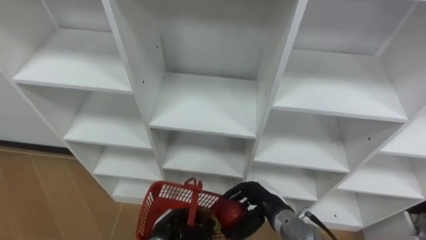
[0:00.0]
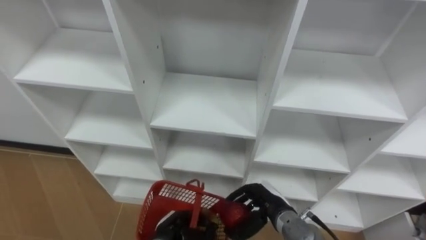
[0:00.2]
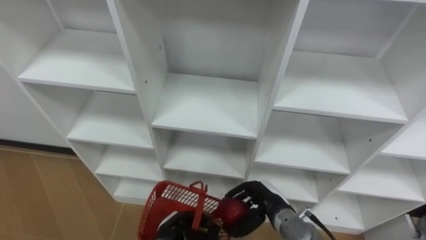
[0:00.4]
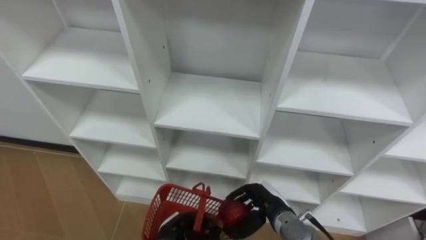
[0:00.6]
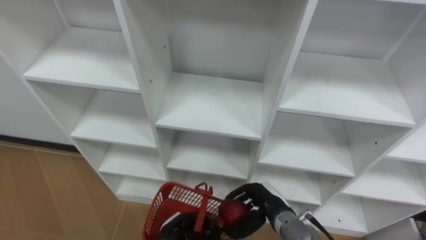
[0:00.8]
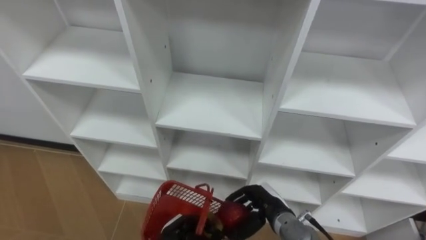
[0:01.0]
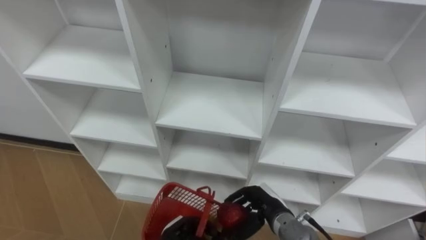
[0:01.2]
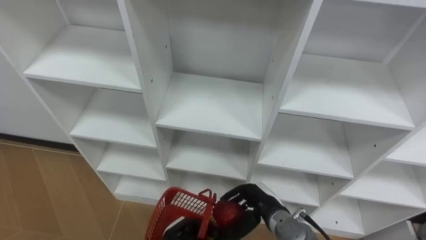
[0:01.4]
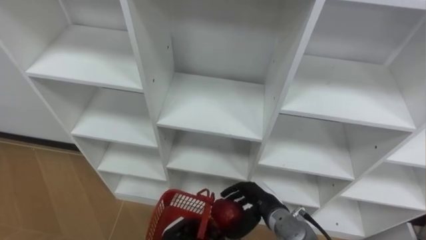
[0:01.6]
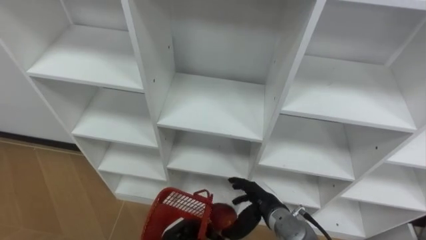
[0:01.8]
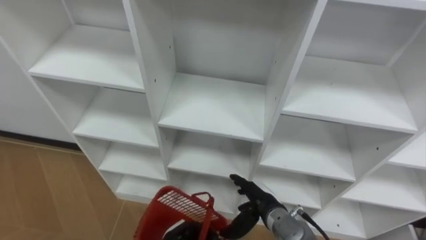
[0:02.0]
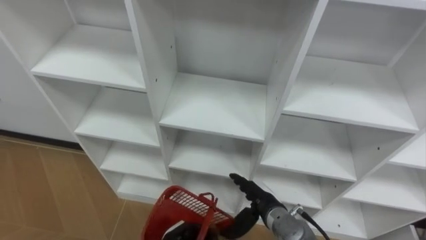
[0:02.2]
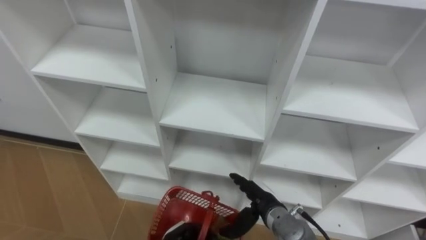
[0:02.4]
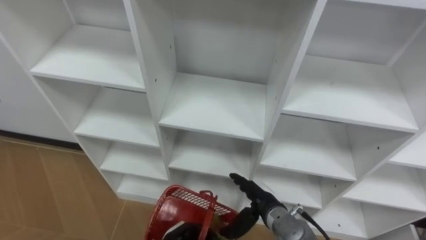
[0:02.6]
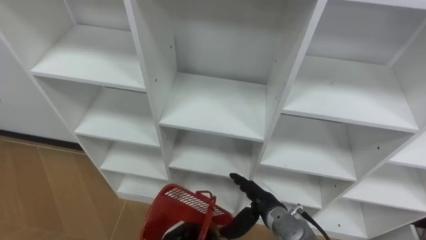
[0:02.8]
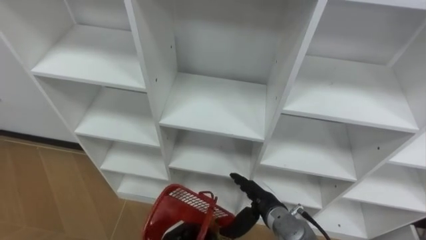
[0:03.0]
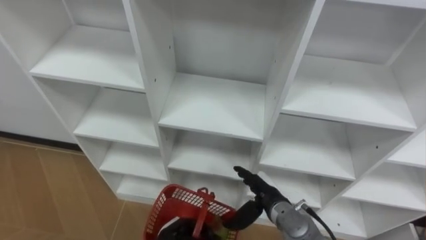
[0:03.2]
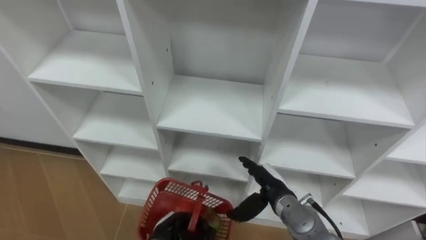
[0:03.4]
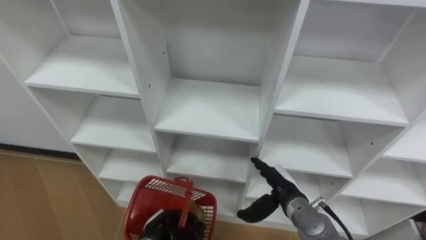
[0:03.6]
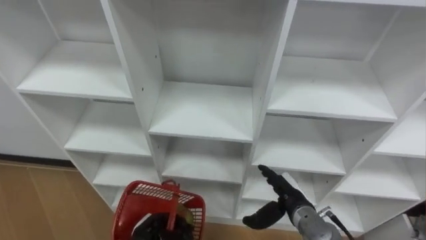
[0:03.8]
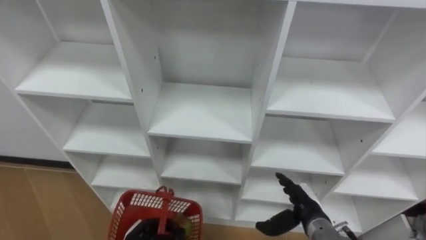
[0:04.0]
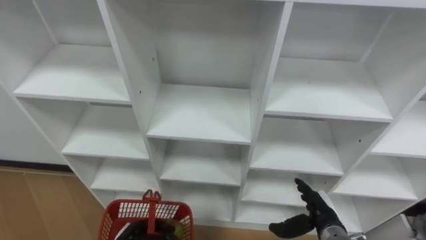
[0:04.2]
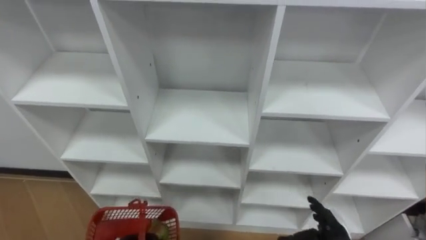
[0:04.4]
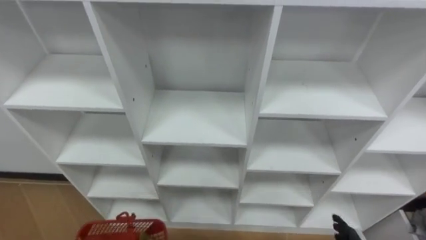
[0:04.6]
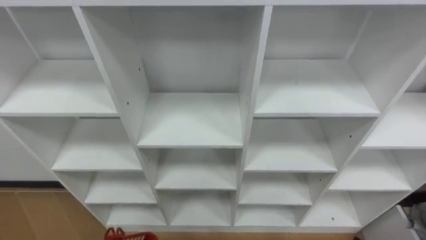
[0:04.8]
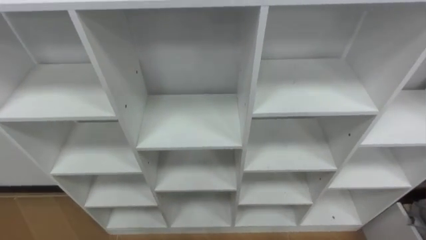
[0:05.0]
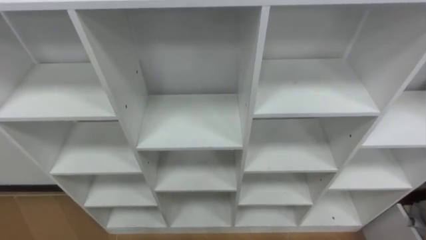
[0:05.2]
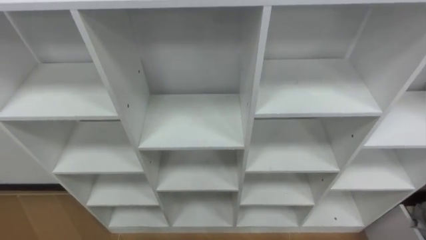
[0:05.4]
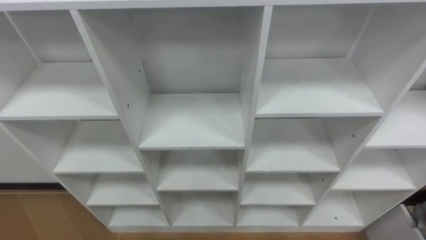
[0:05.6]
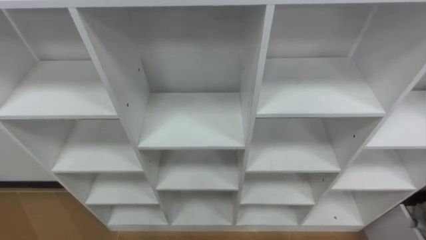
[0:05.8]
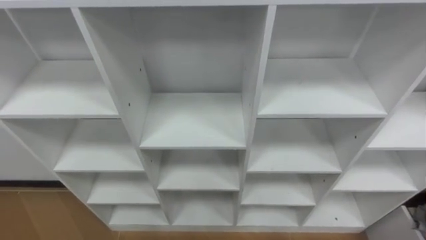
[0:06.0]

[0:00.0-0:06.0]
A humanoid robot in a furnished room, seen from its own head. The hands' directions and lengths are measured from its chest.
Task of the whole recording: Hold the basket and collect the fruits from 3 different cells of the closet into it.
0:01.6 to 0:03.0: The right hand opens up.
0:03.0 to 0:04.4: The right hand moves to the right, about 15 cm.

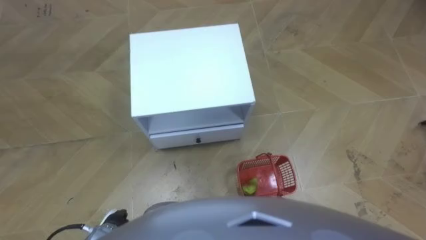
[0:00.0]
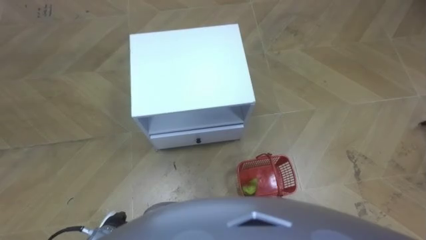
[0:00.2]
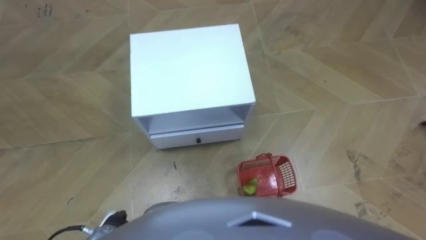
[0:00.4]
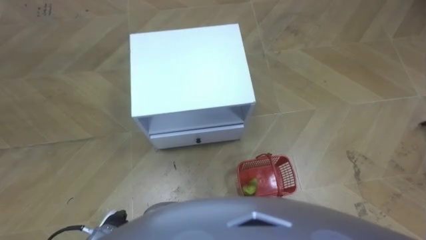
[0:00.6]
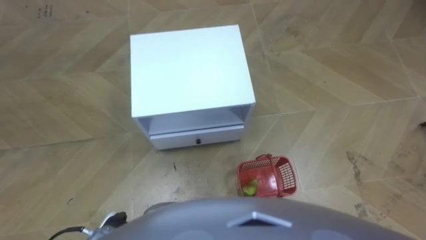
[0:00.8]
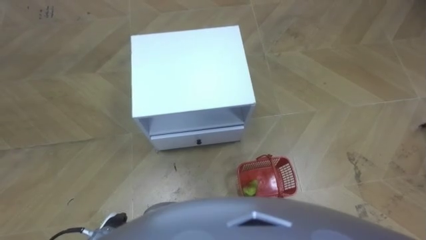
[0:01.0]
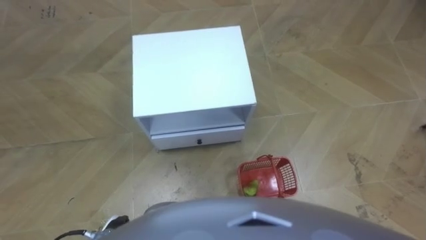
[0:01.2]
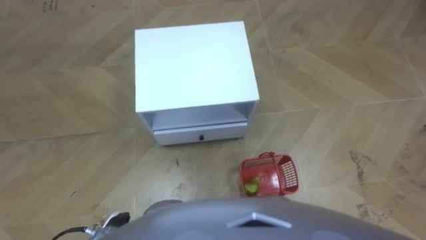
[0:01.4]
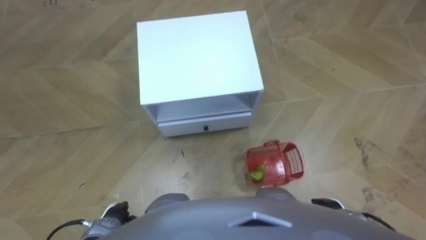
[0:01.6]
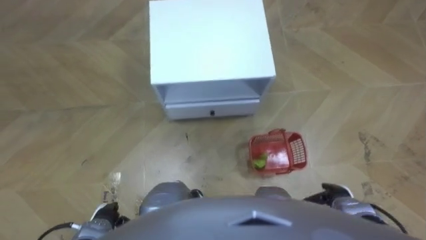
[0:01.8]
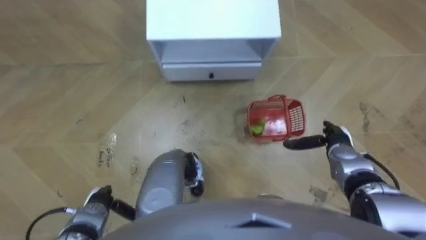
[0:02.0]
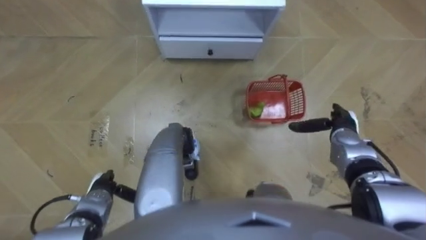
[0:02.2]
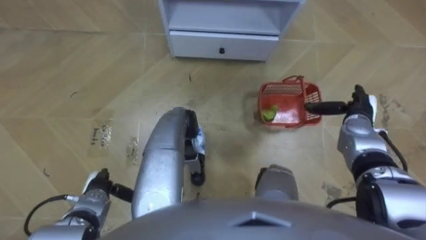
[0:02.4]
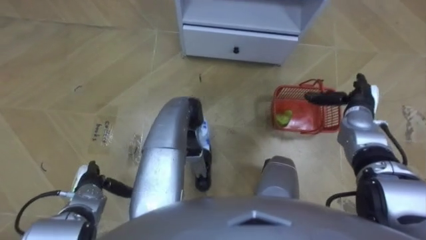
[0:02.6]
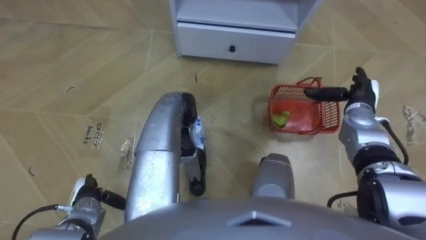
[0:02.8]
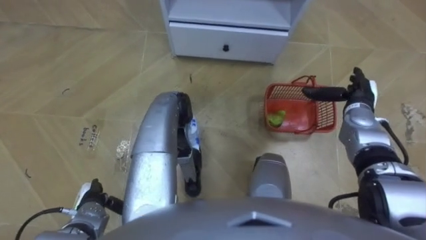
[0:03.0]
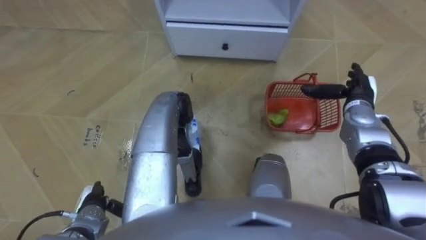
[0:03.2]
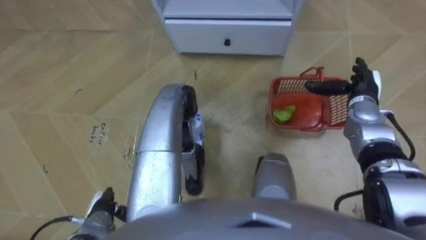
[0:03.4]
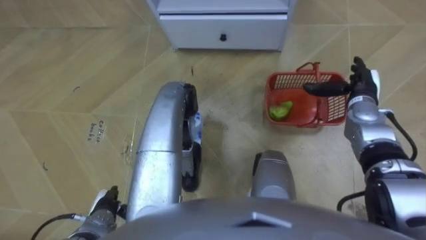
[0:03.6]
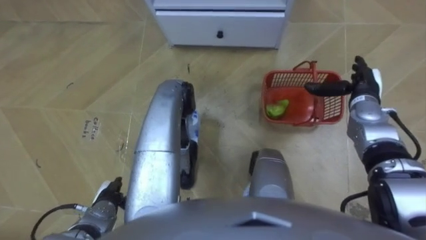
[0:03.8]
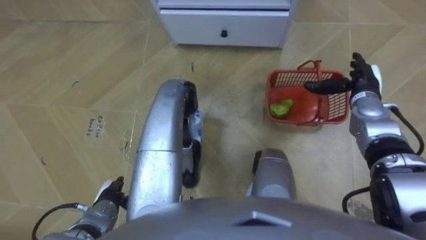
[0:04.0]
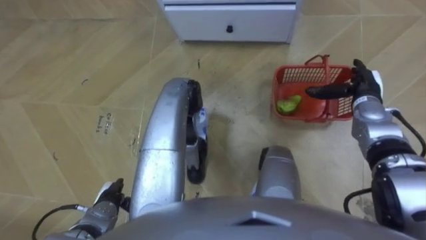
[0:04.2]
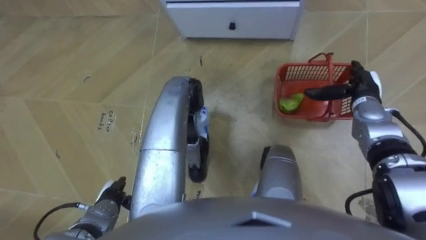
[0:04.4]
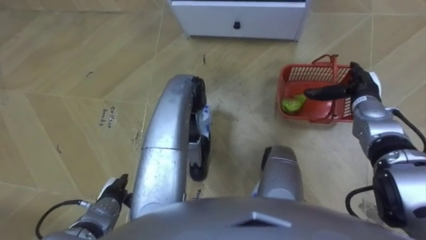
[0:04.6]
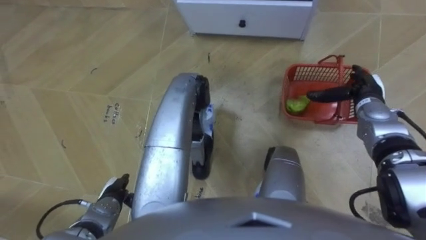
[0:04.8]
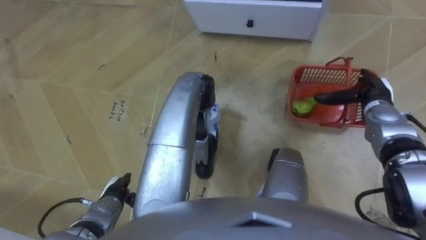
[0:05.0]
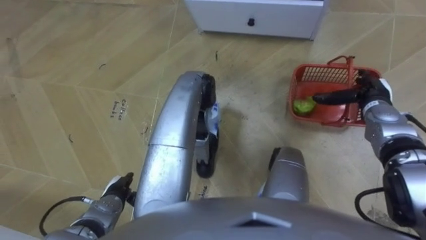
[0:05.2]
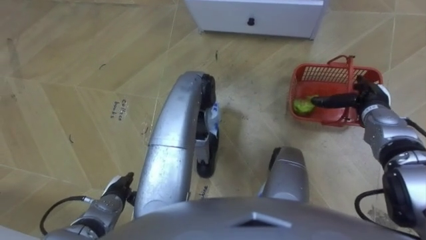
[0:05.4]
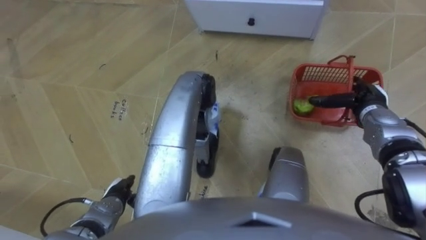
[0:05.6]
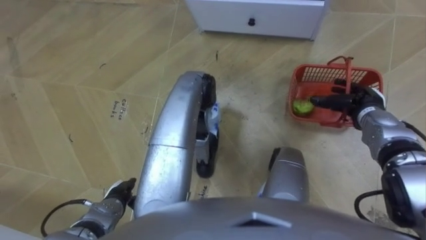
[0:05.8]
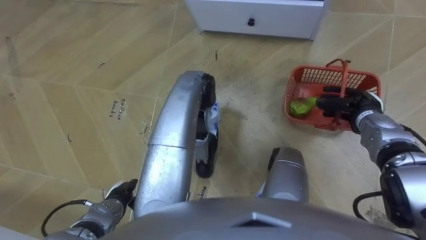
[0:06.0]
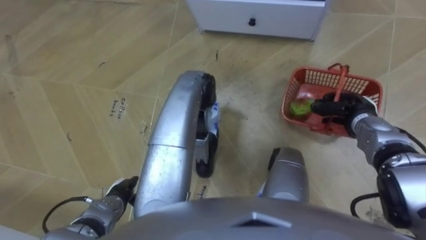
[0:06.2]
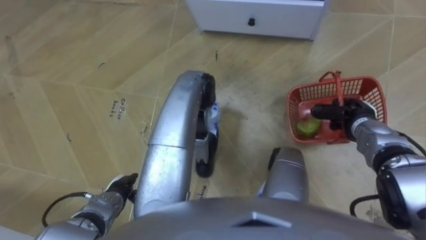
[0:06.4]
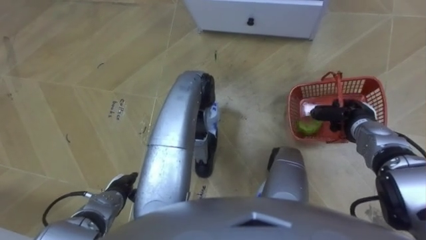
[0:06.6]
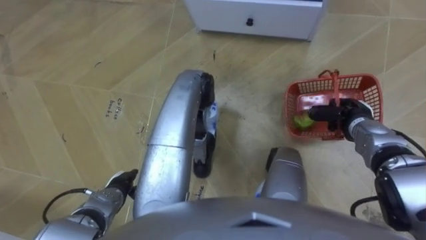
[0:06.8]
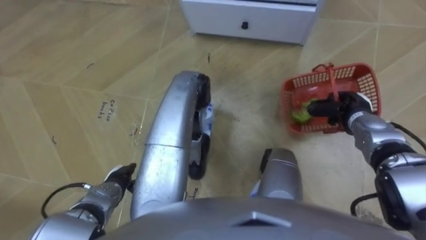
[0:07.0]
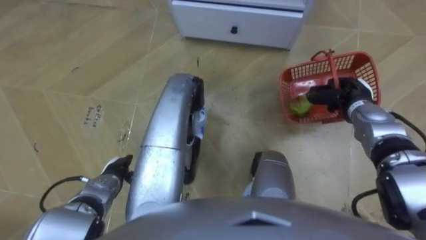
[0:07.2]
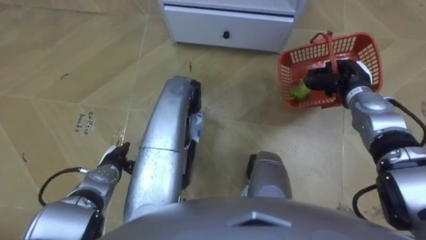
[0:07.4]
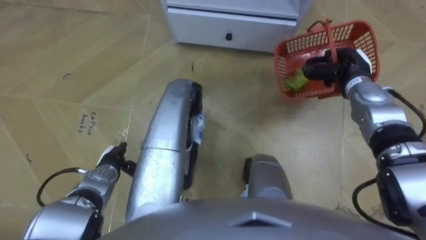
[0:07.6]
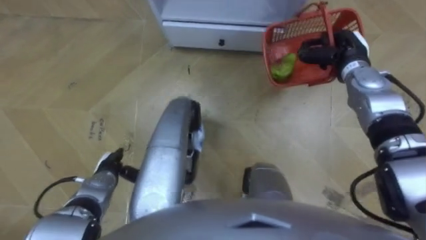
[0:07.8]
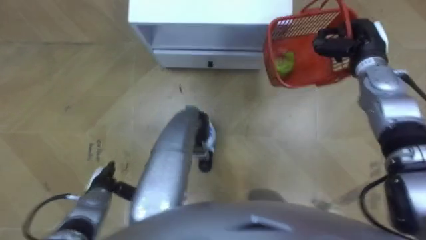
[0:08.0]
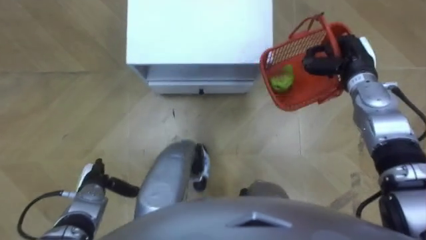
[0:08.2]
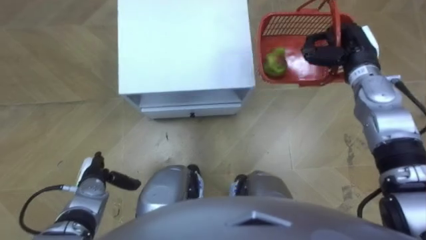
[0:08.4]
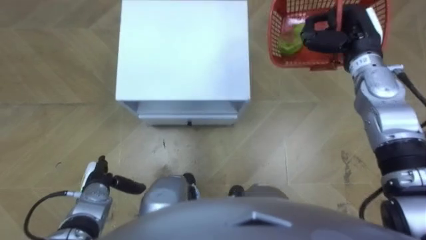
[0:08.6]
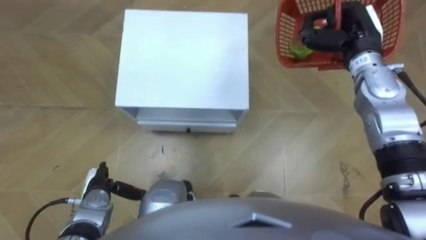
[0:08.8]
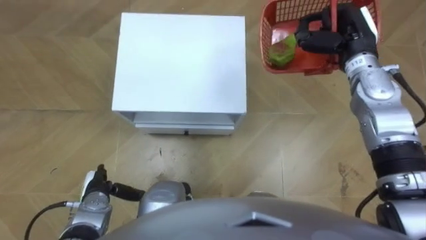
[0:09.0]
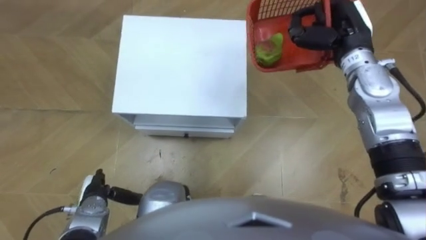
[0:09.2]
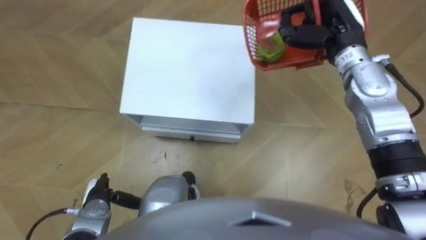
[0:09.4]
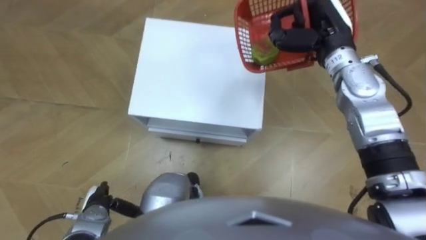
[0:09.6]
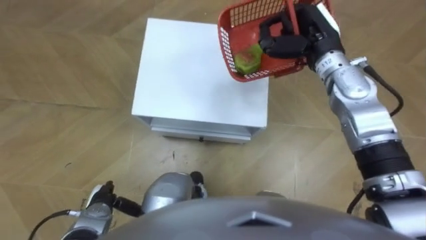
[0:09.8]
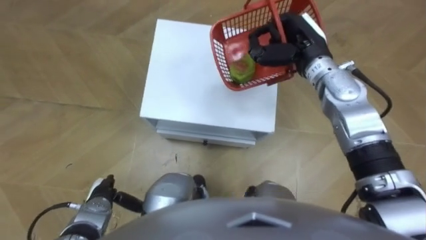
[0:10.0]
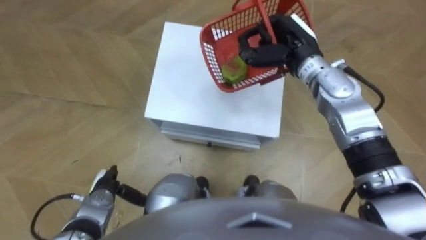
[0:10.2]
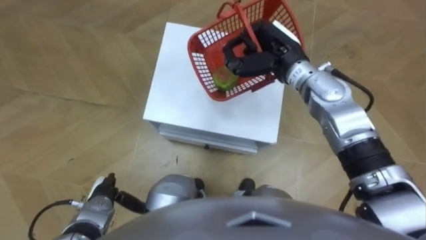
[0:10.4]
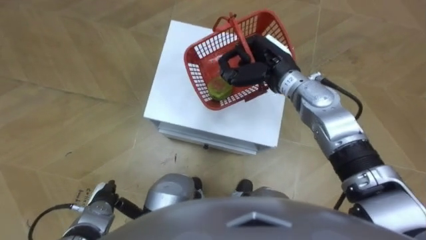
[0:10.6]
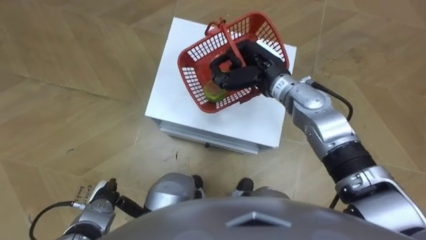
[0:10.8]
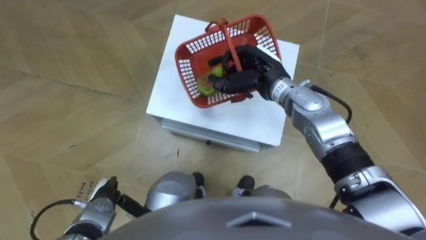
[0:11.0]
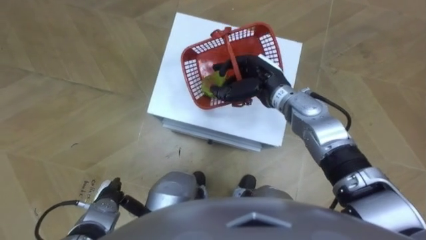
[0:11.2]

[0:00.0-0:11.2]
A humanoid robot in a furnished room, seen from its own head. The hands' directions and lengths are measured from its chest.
Task of the whole recording: Pick up the fruit basket from the floor and place it on the cabinet.
0:01.6 to 0:03.2: The right hand heads forward and upward, covering roughly 30 cm.
0:04.8 to 0:06.4: The right hand changes place by about 5 cm, and closes its fingers.
0:06.4 to 0:08.0: The right hand moves upward and forward, roughly 15 cm.
0:08.0 to 0:09.6: The right hand shifts about 10 cm to the left and upward.
0:09.6 to 0:11.2: The right hand goes some 15 cm to the left and downward.
